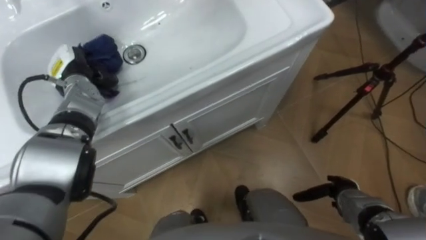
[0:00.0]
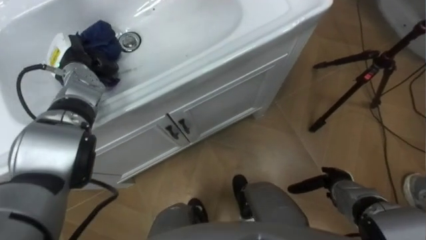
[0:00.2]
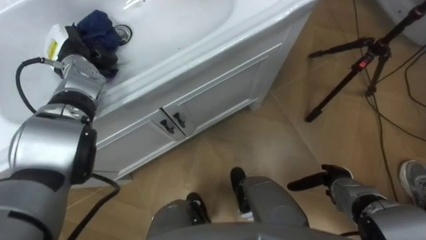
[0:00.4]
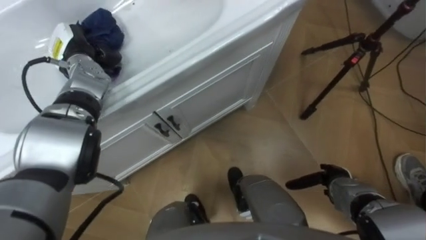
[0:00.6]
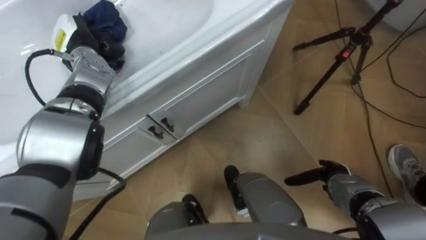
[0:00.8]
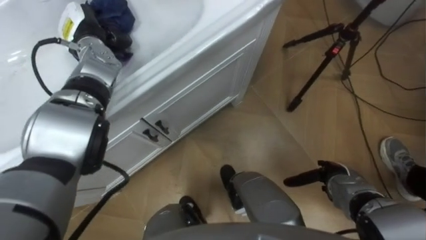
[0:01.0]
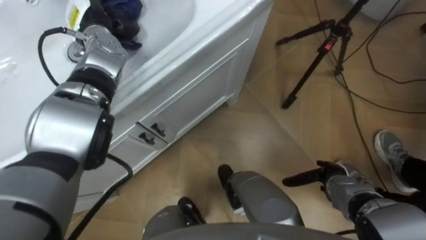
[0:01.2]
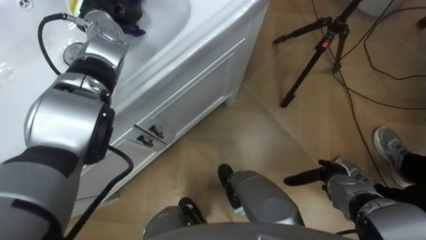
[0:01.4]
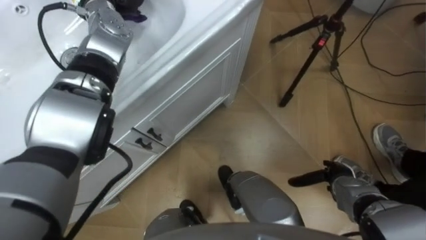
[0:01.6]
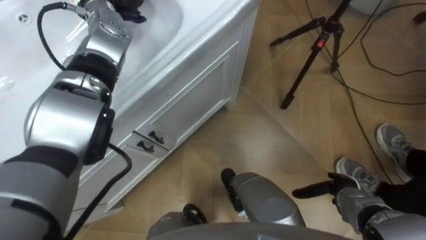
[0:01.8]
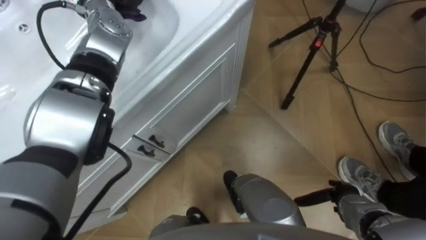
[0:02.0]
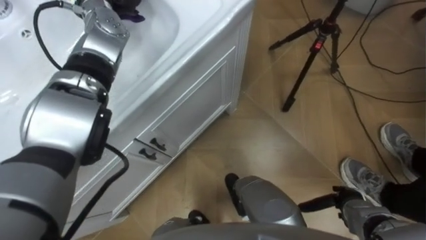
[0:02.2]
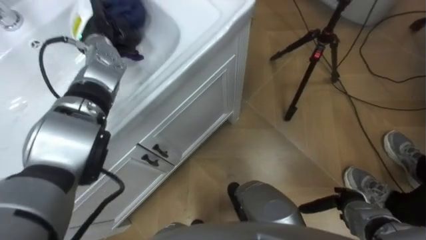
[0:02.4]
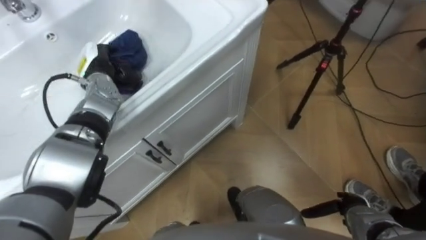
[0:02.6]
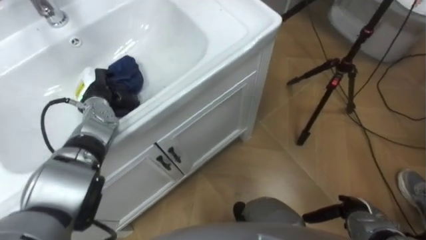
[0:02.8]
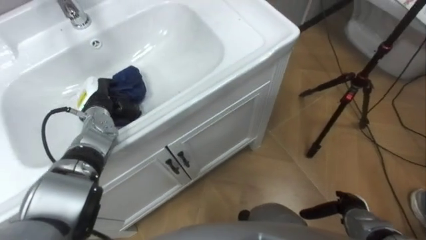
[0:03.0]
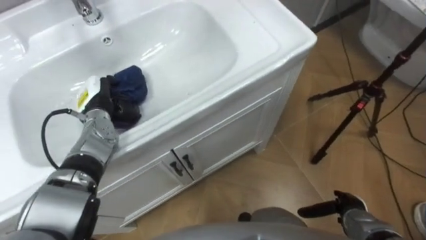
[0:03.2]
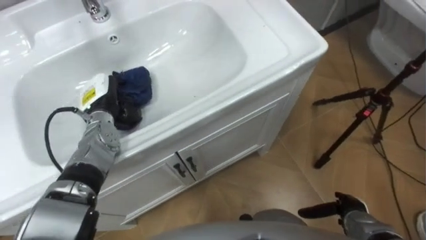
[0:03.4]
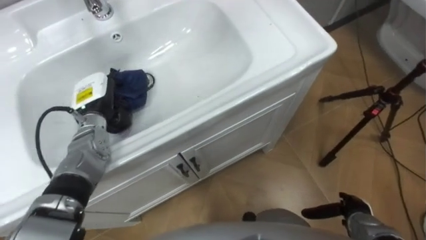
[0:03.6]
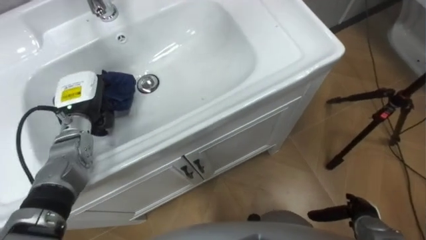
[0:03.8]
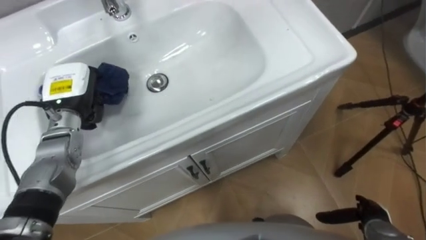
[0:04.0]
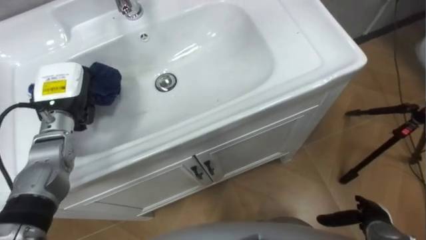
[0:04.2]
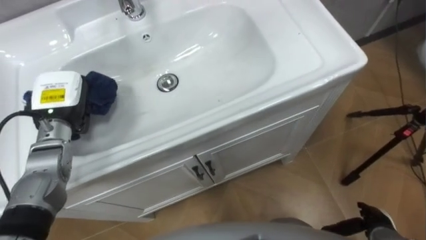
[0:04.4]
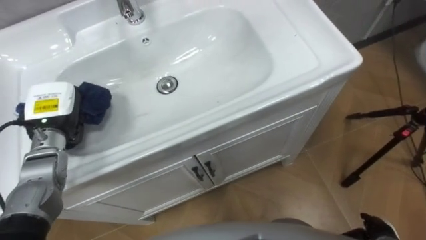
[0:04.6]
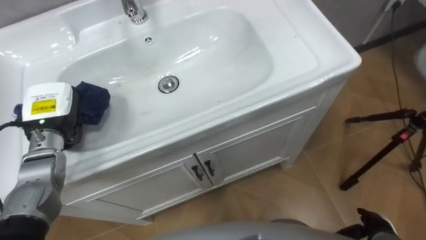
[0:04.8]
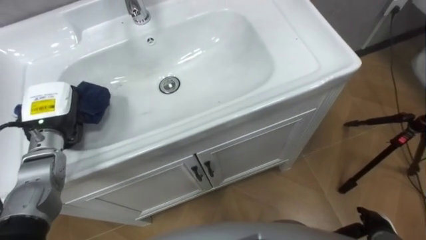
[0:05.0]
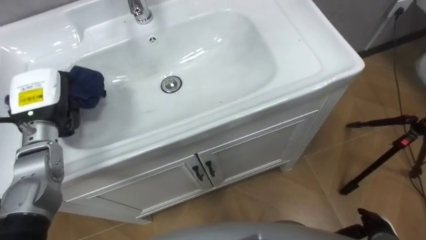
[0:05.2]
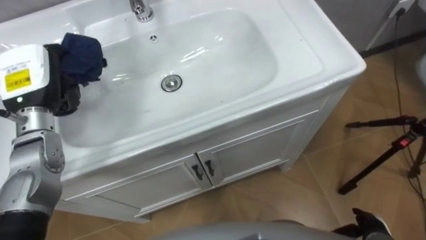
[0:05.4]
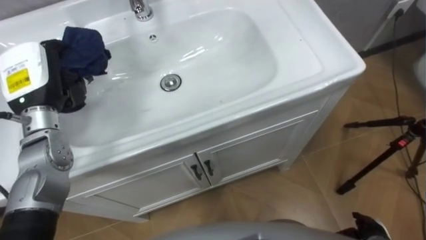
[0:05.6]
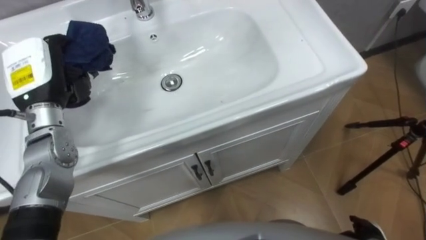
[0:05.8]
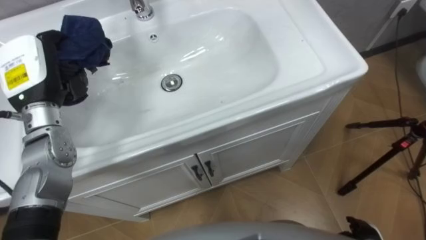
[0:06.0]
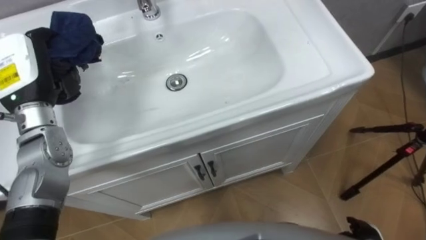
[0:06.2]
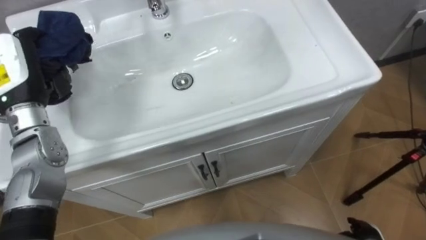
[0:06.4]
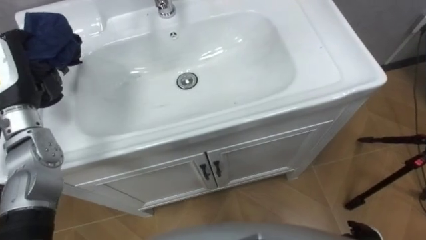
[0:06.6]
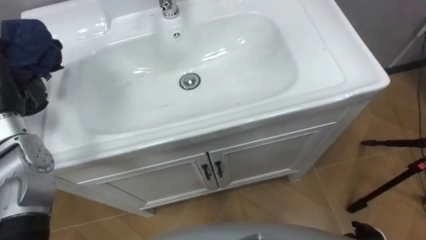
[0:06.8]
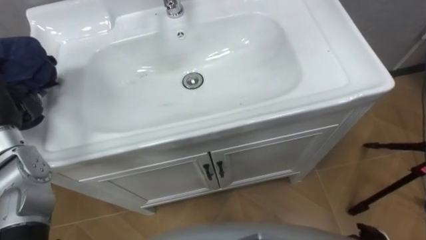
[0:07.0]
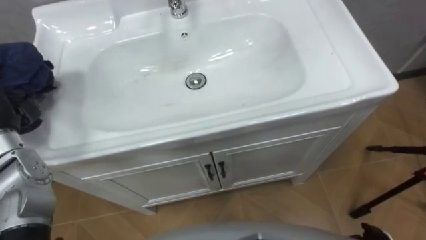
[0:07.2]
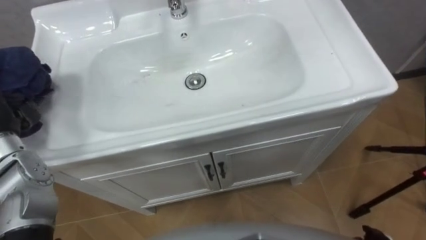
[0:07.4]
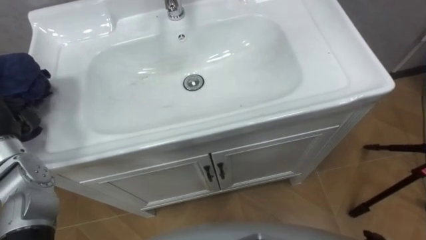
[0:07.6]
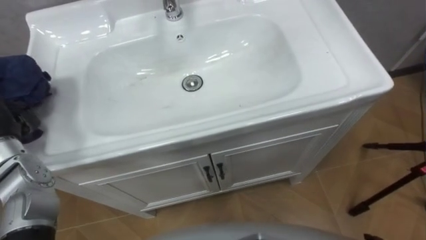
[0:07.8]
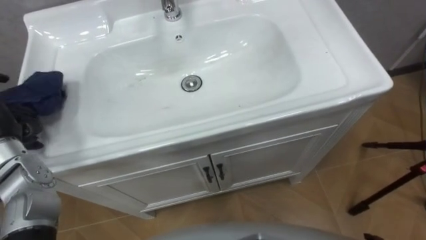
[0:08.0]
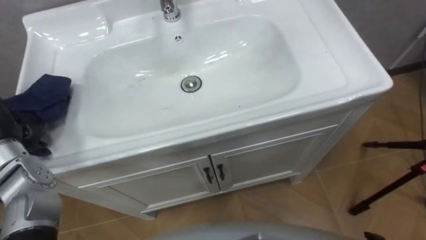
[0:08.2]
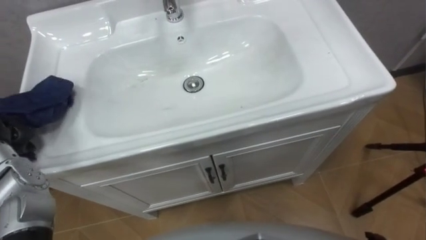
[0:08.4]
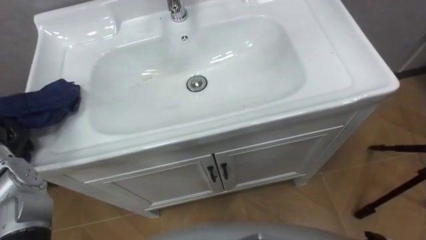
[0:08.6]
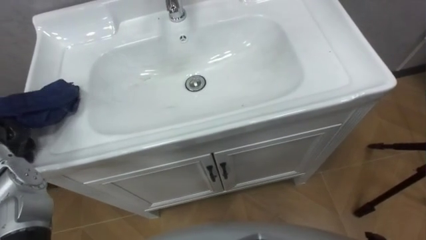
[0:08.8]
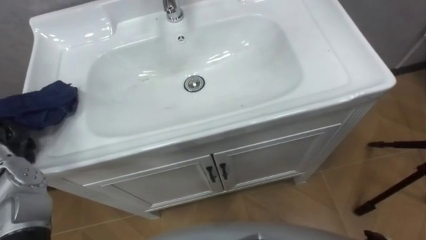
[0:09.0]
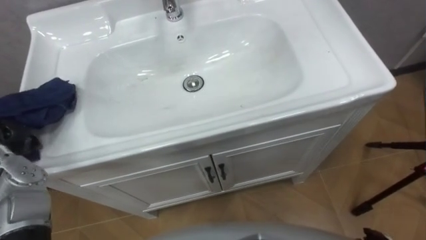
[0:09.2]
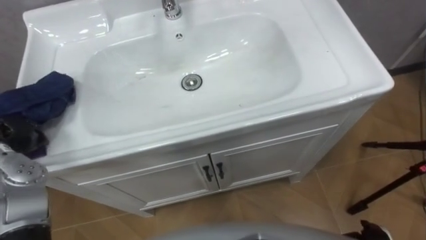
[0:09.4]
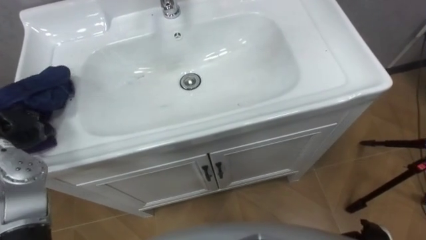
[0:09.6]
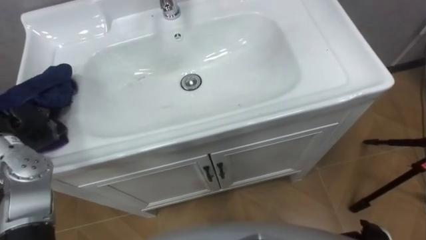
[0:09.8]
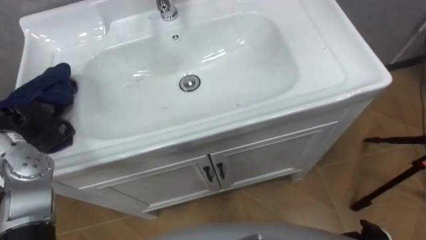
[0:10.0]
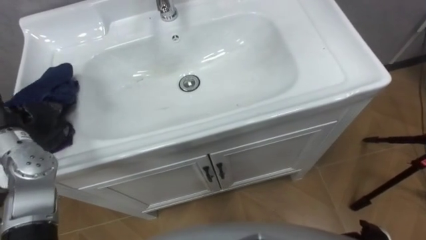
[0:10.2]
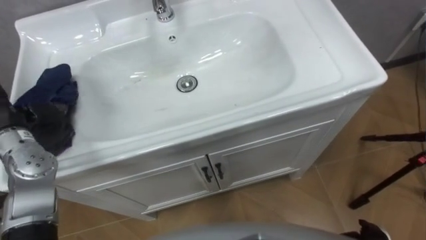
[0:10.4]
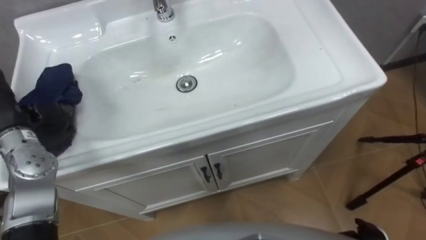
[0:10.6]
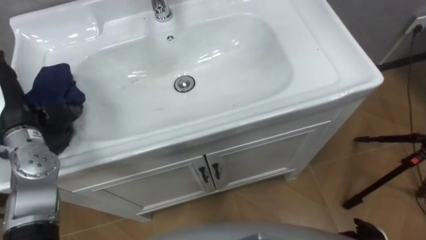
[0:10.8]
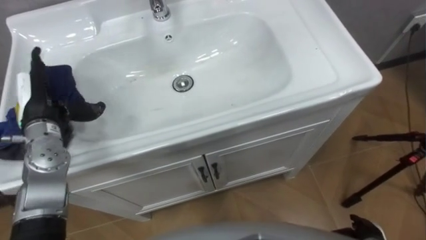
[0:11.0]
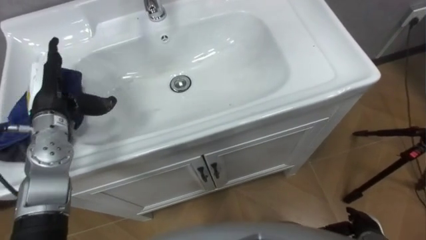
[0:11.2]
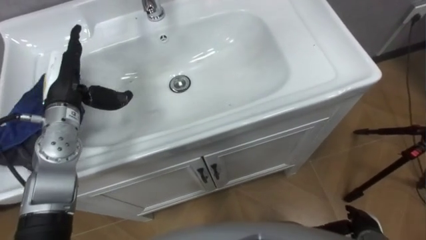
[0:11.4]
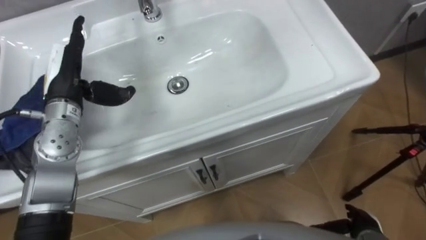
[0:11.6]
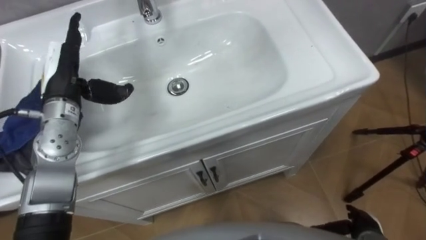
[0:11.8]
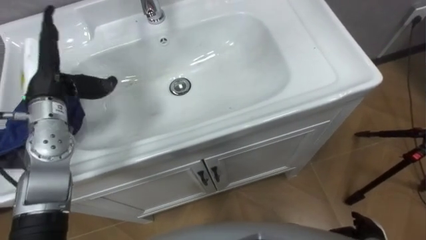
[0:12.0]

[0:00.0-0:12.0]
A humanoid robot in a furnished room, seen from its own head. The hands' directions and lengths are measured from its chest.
Task of the whole recording: Use the cloth on the right to wipe away the black stain in the sink.
0:01.6 to 0:03.0: The right hand moves backward, some 5 cm.
0:03.0 to 0:04.4: The left hand moves upward, approximately 10 cm. Meanwhile the right hand changes place by roughly 5 cm.
0:04.4 to 0:06.0: The left hand travels upward by about 5 cm.

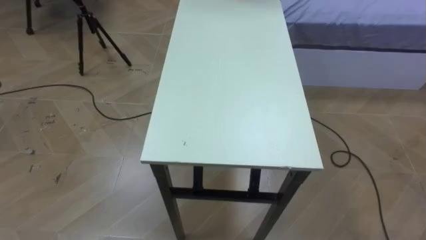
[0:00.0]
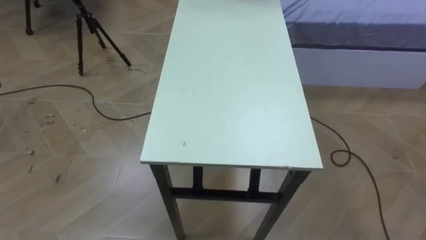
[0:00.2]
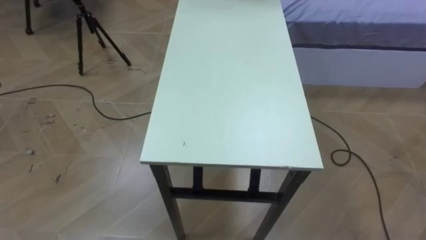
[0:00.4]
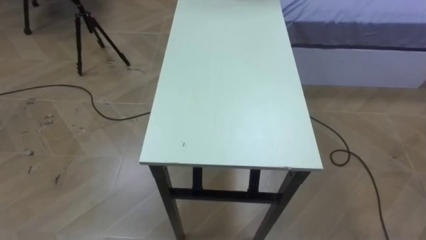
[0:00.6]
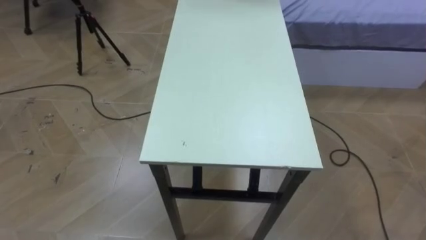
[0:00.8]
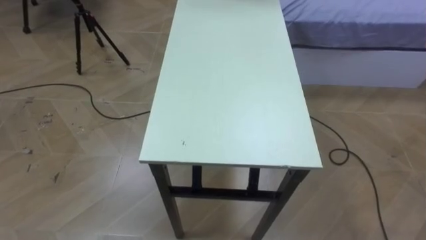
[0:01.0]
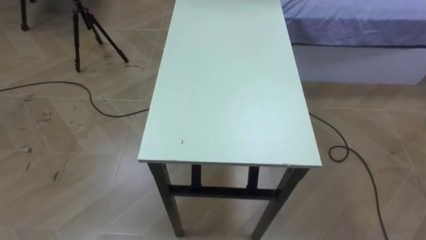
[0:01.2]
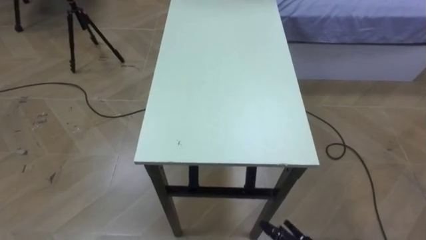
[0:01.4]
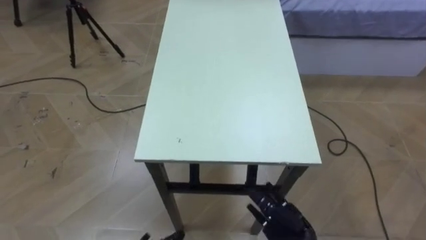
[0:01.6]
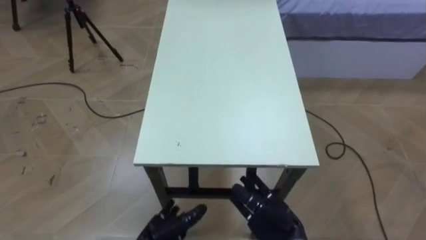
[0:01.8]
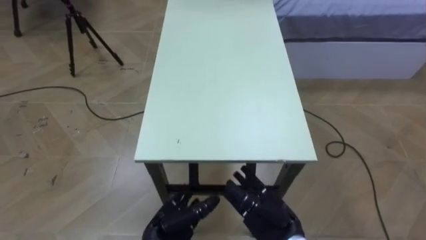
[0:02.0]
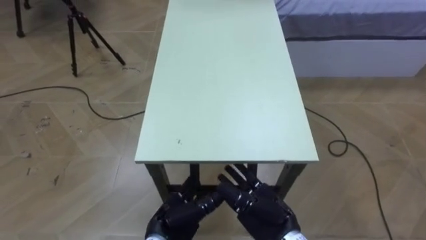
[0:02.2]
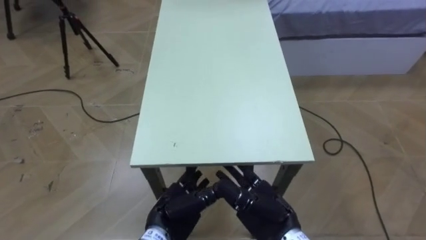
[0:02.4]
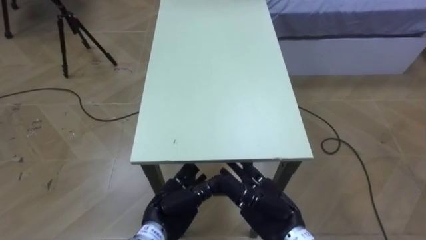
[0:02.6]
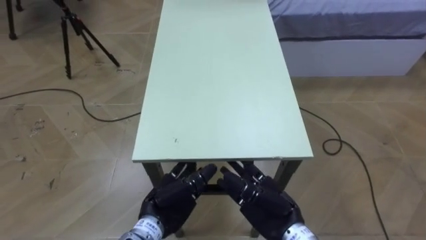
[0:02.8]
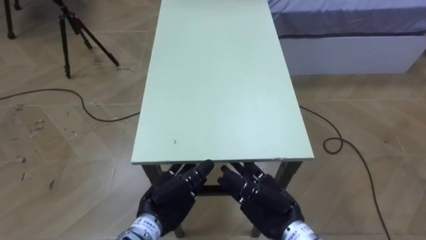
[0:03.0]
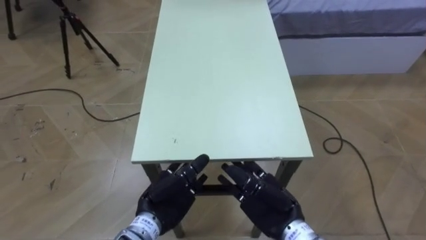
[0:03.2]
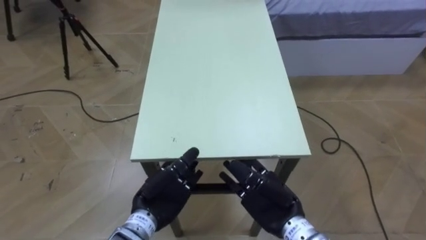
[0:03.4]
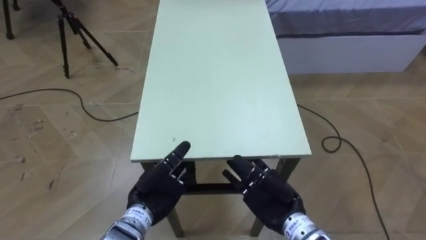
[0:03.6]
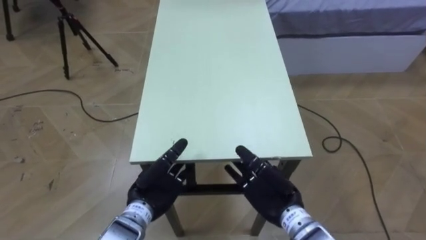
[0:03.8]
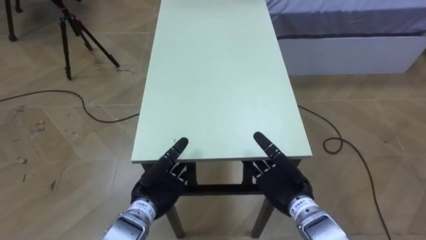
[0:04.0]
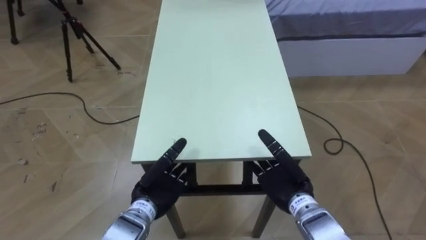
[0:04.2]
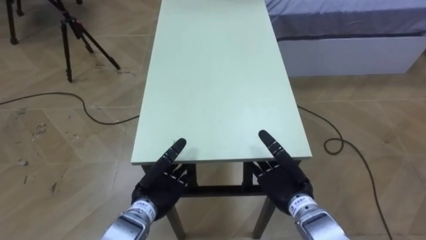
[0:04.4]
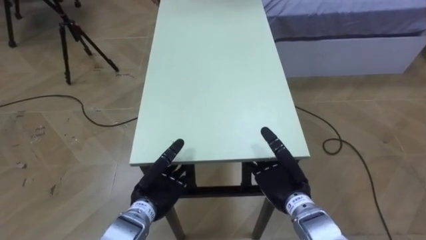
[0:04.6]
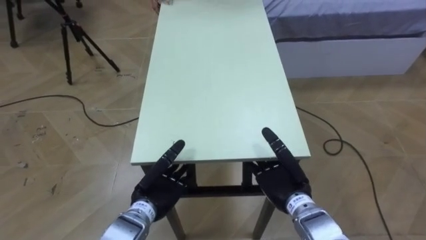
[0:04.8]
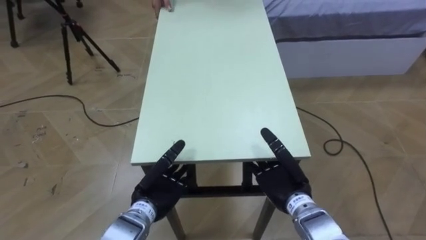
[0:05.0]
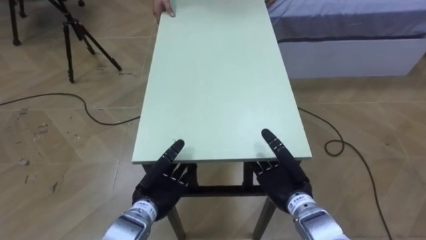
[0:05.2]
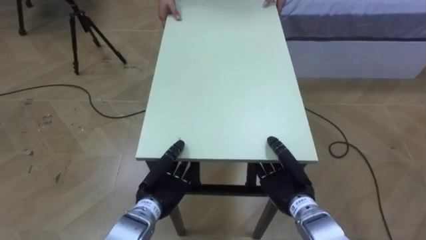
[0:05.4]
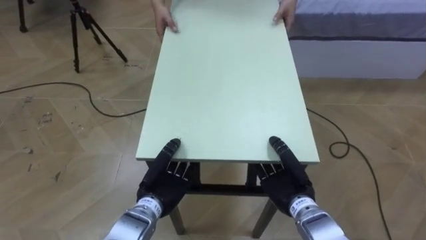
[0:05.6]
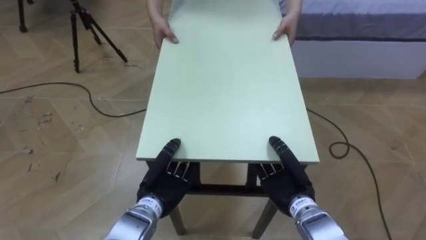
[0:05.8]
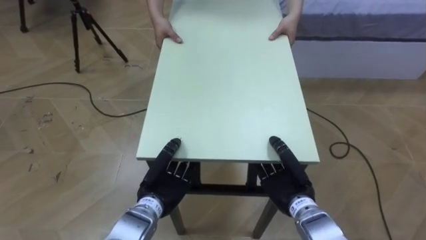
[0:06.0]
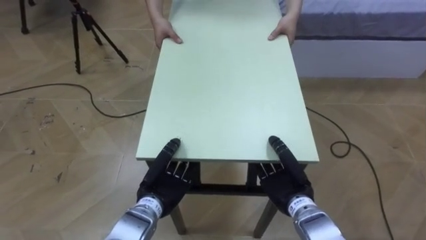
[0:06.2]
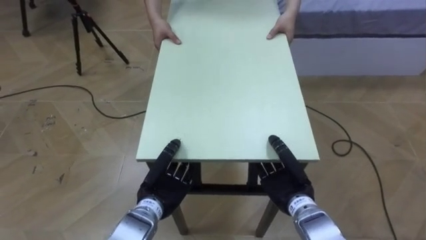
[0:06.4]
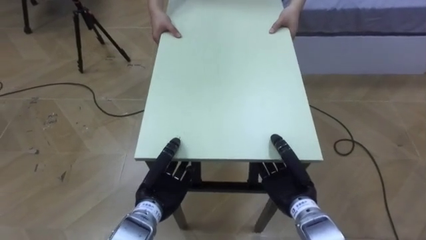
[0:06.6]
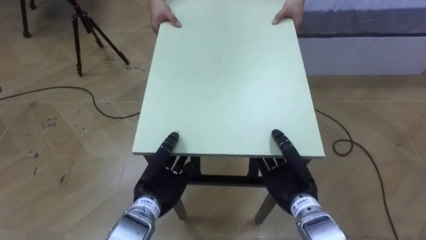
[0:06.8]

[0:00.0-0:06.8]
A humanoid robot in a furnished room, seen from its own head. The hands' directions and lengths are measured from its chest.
Task of the whole recording: Move the table to the back left with someone.
0:02.8 to 0:04.0: The right hand changes place by about 5 cm.
0:04.0 to 0:05.4: The right hand closes its fingers.
0:05.4 to 0:06.8: The left hand closes up.
